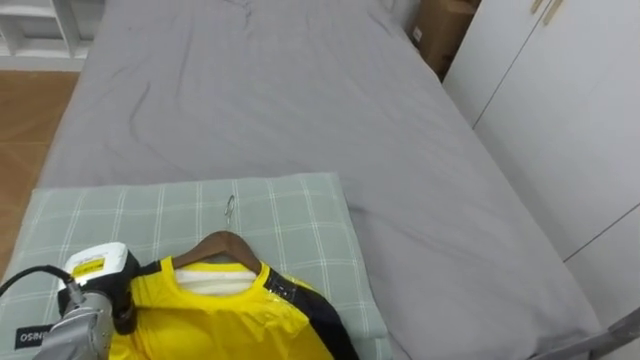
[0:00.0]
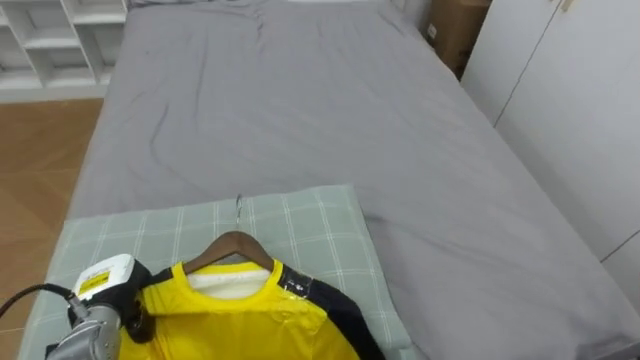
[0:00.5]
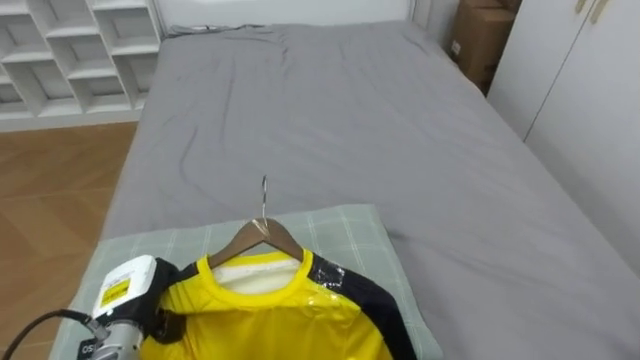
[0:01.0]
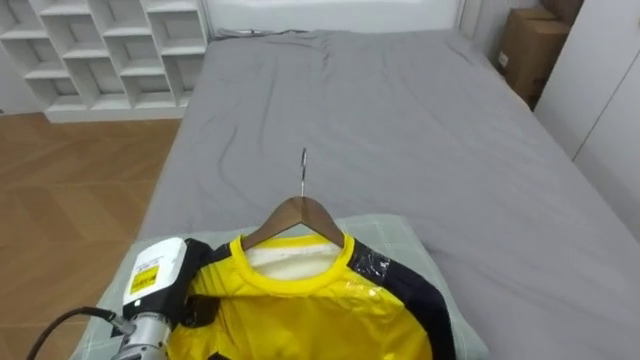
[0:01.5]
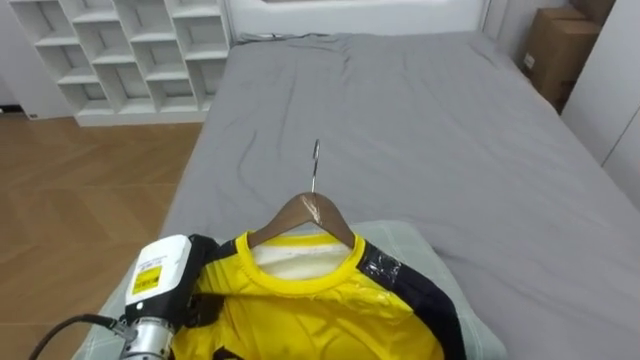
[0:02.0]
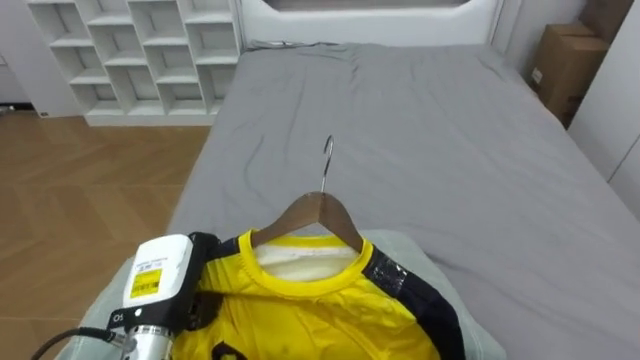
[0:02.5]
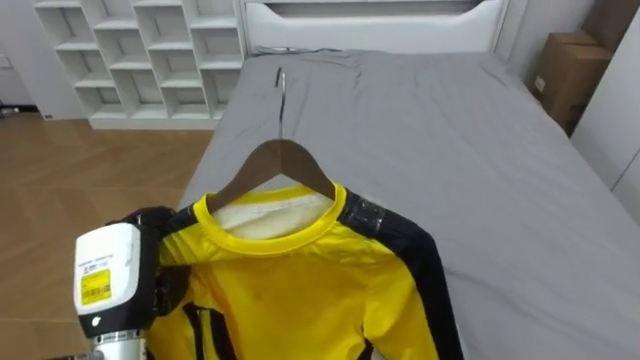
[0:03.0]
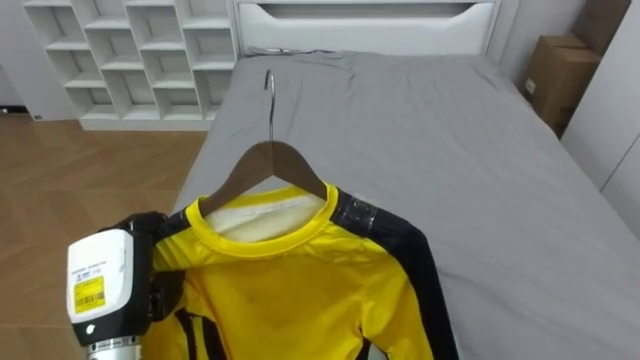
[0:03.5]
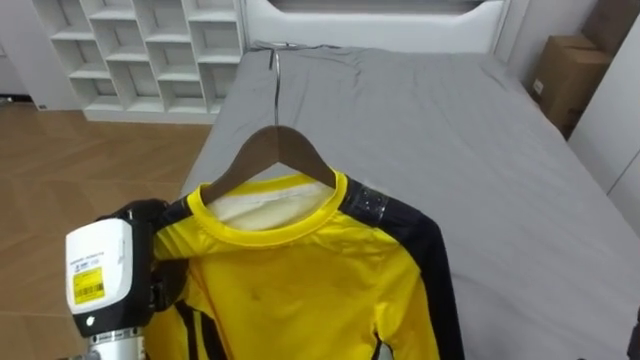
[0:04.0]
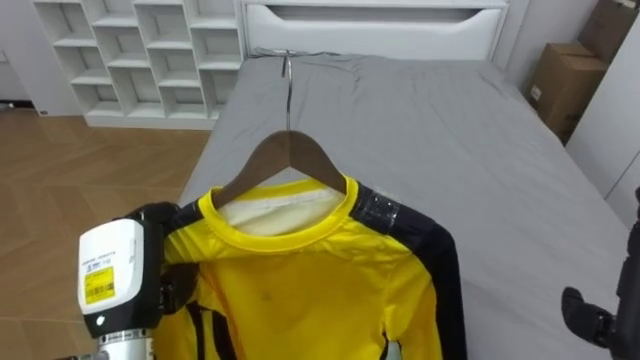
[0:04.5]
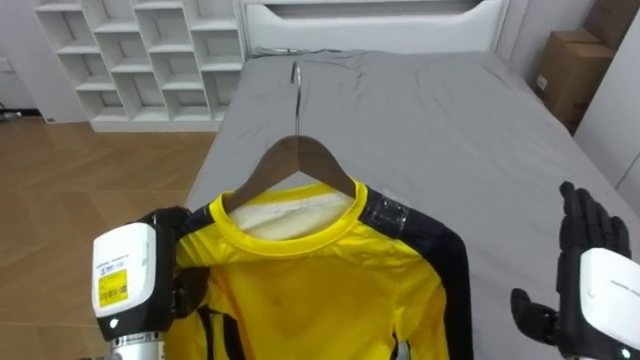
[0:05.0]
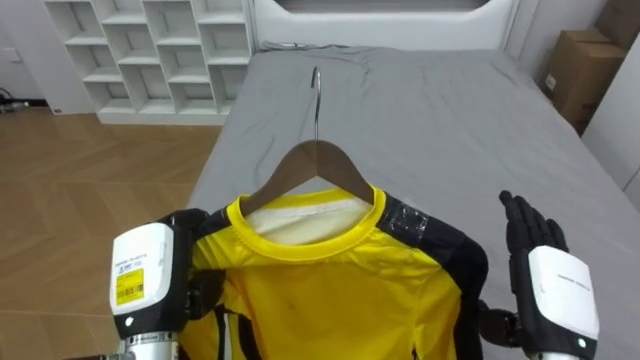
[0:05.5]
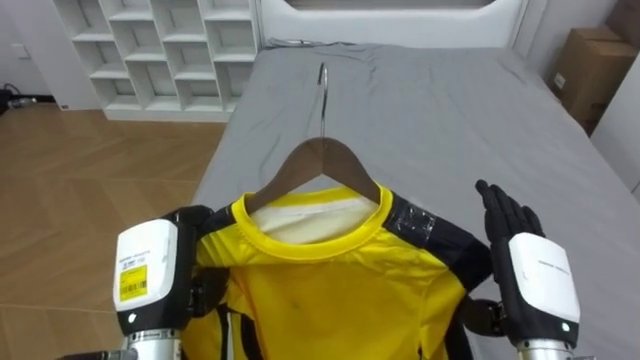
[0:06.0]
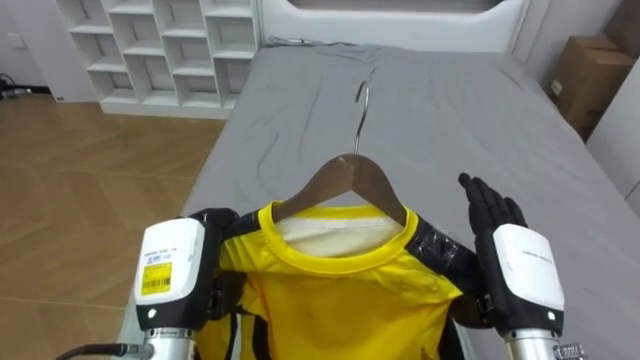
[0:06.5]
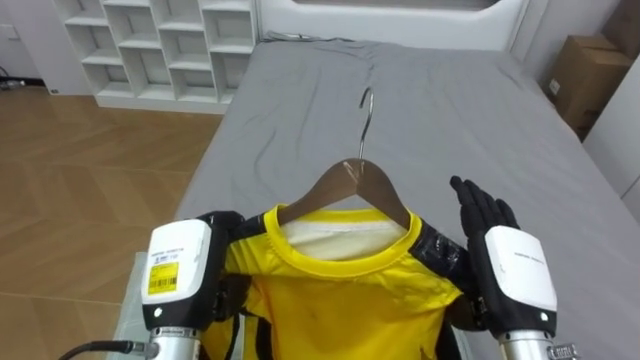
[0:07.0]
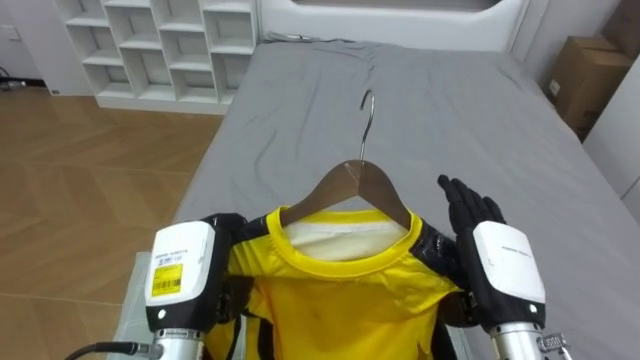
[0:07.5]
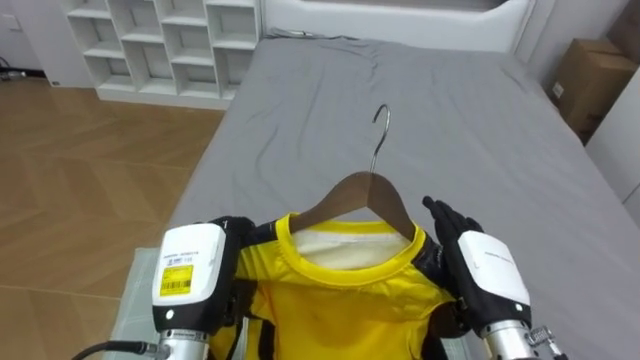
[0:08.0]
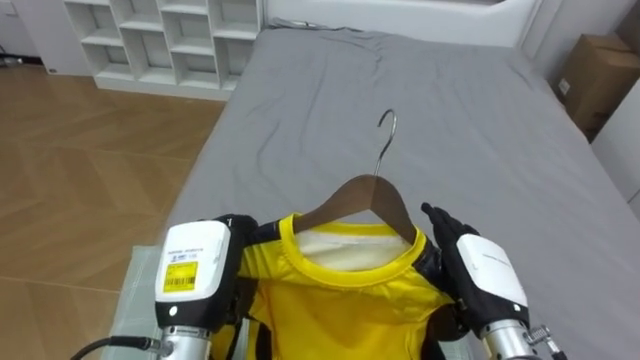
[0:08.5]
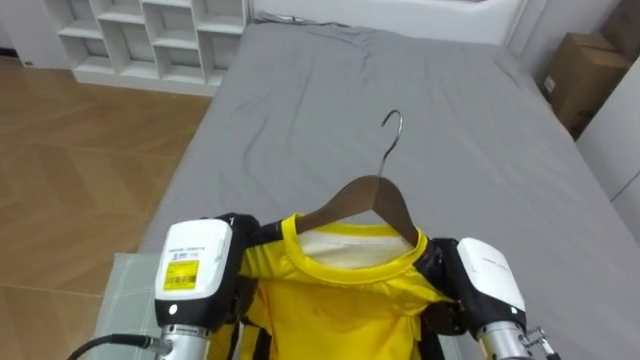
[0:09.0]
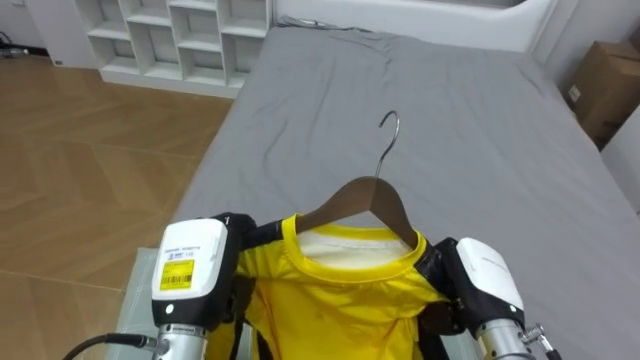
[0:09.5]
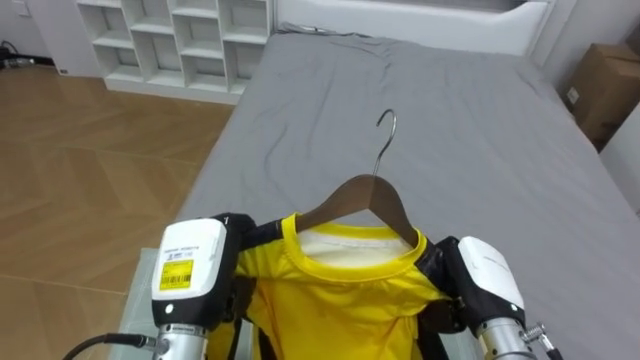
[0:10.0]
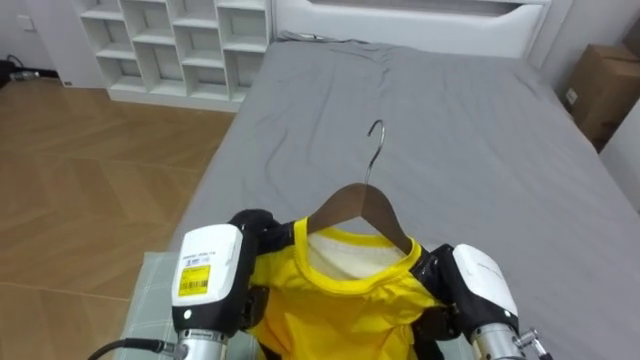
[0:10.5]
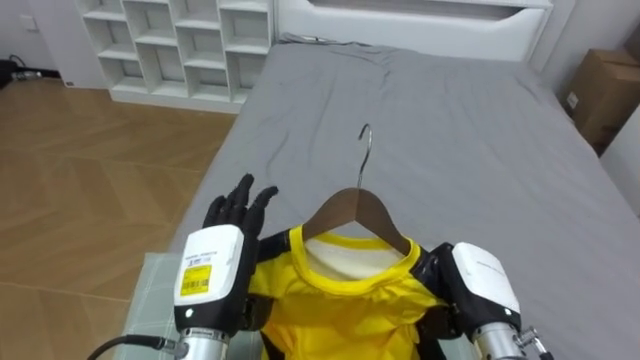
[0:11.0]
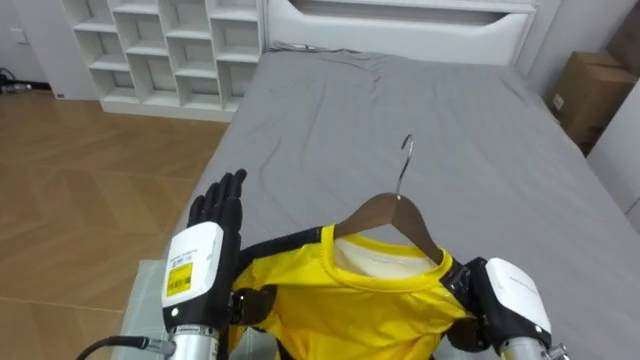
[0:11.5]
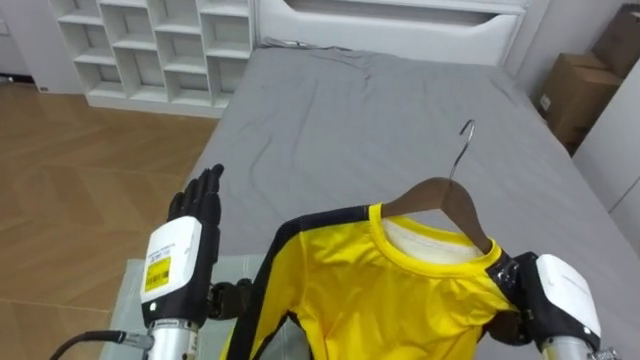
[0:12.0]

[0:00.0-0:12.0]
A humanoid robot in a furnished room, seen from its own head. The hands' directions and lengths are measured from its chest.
Task of the whole recording: Pick up the yellow shirt on the bed and hang it on the clothes rack on the right.
0:00.0 to 0:02.0: The left hand shifts about 10 cm to the right.
0:02.0 to 0:04.0: The left hand goes about 10 cm upward.
0:06.0 to 0:08.0: The right hand changes place by about 5 cm.
0:08.0 to 0:10.0: The right hand closes its fingers.
0:10.0 to 0:12.0: The left hand opens its fingers. The right hand is displaced to the right by roughly 10 cm.

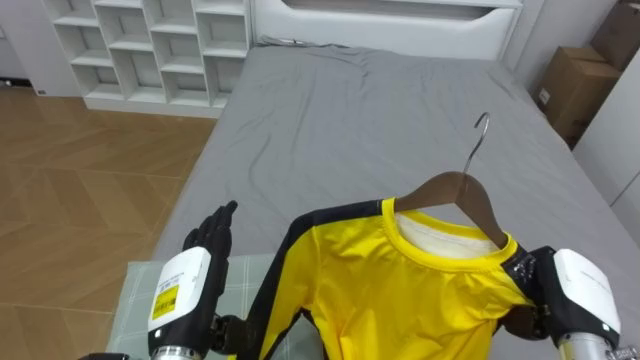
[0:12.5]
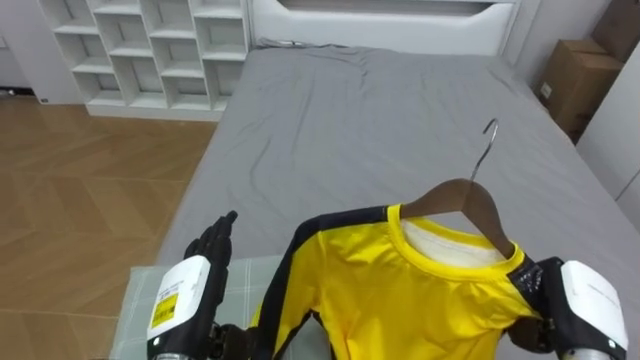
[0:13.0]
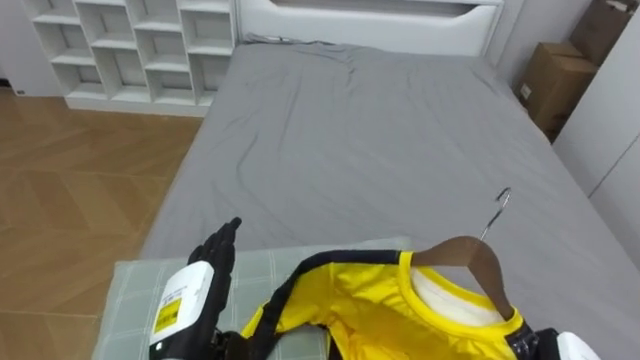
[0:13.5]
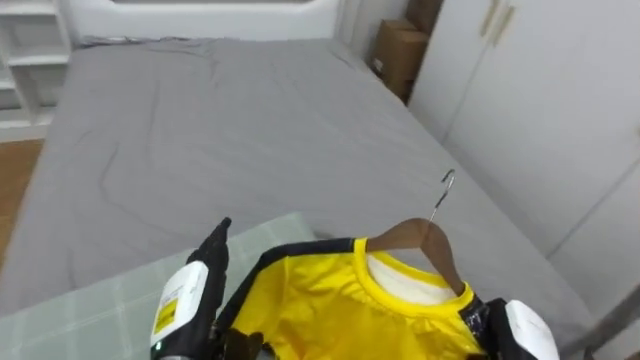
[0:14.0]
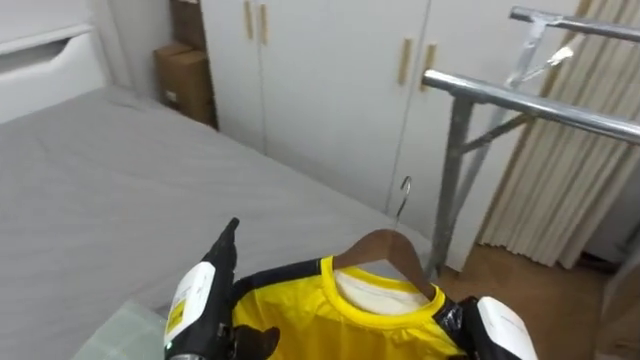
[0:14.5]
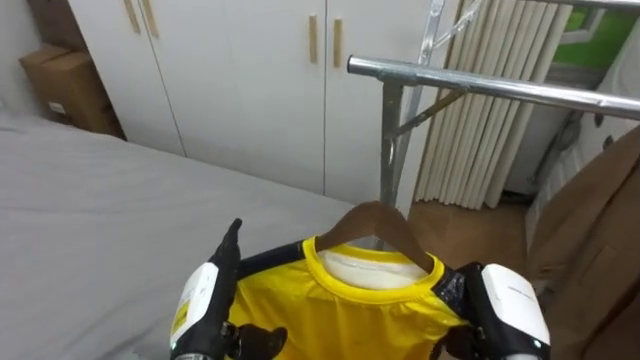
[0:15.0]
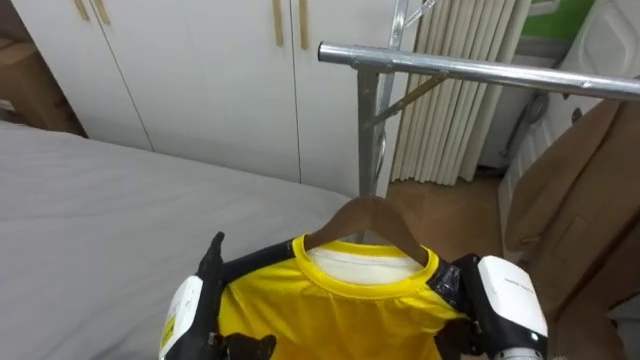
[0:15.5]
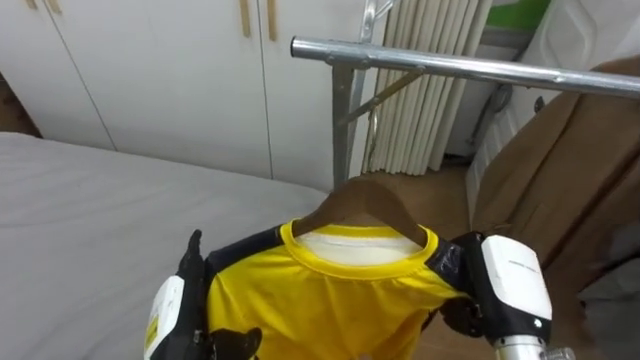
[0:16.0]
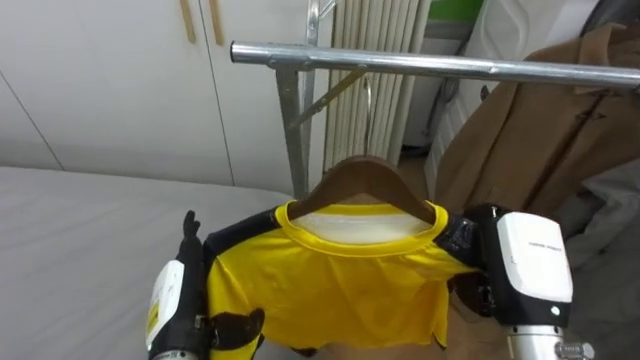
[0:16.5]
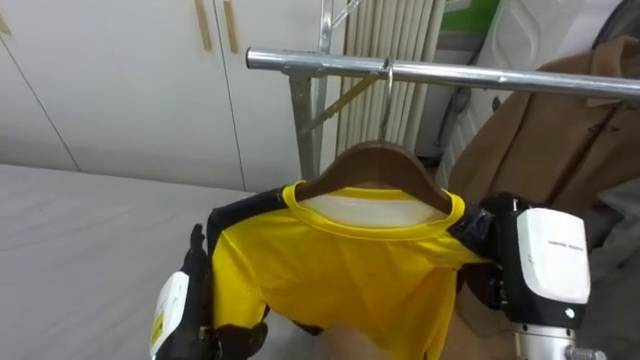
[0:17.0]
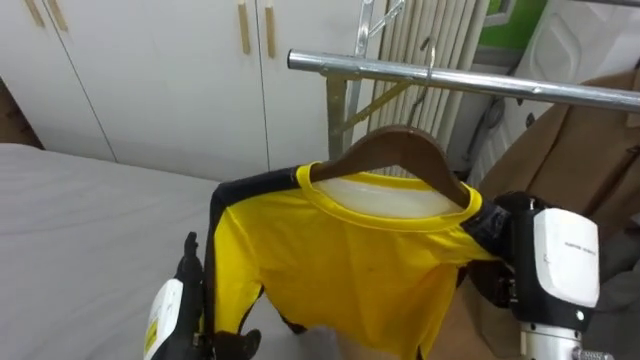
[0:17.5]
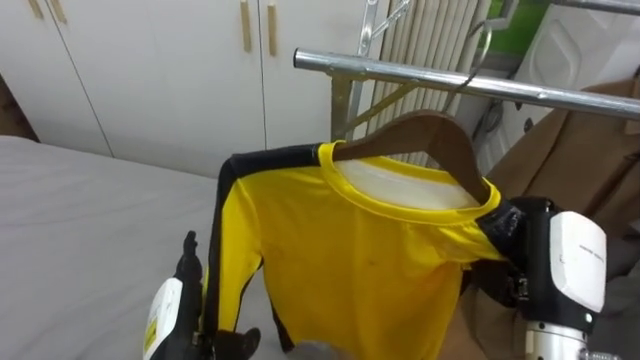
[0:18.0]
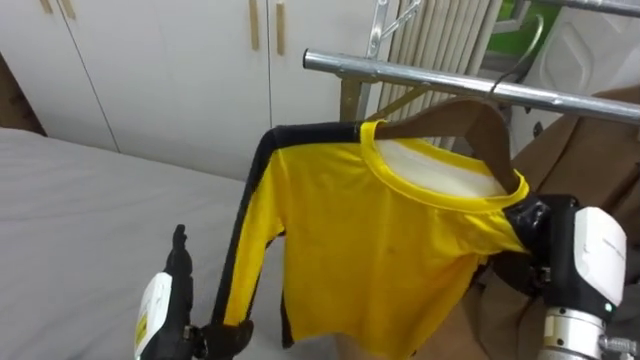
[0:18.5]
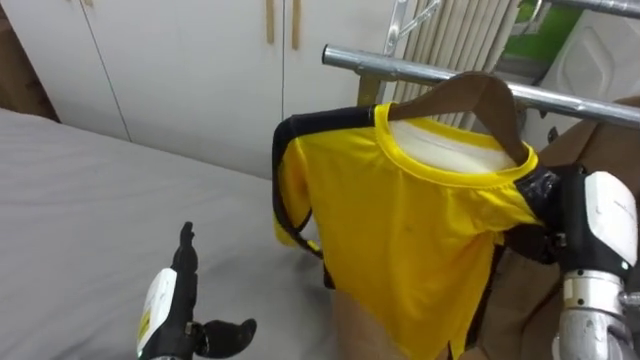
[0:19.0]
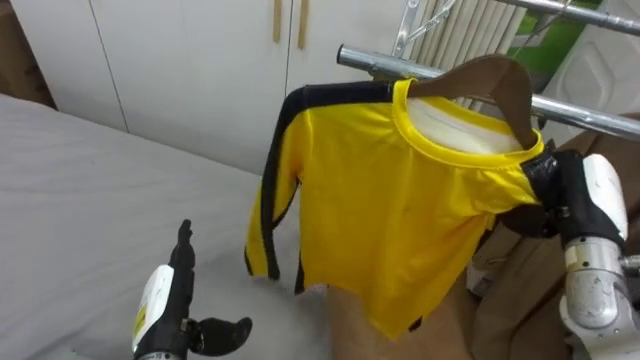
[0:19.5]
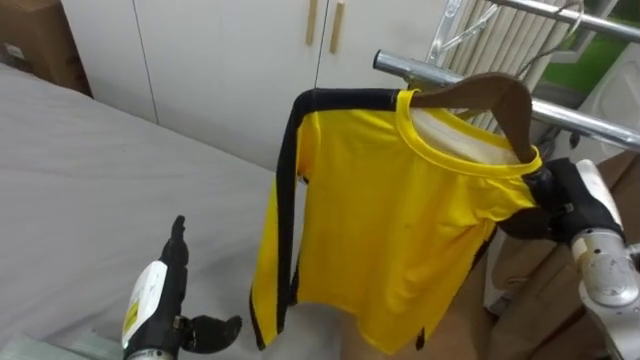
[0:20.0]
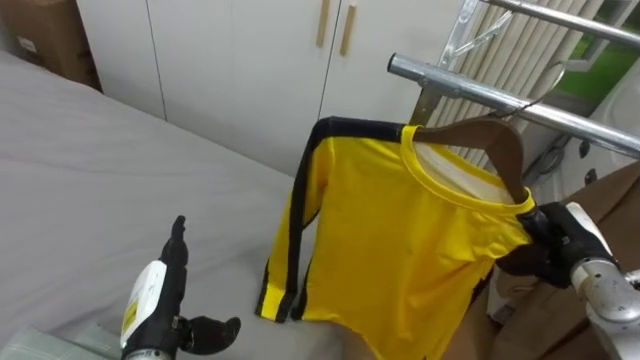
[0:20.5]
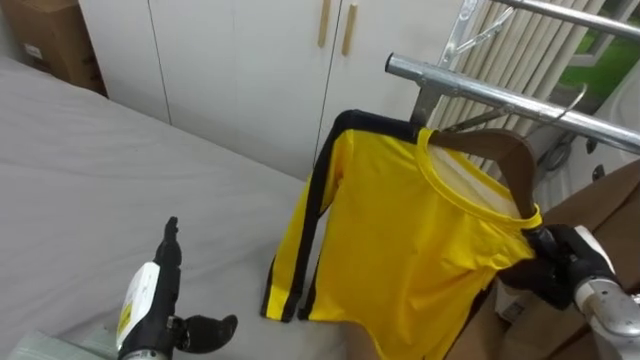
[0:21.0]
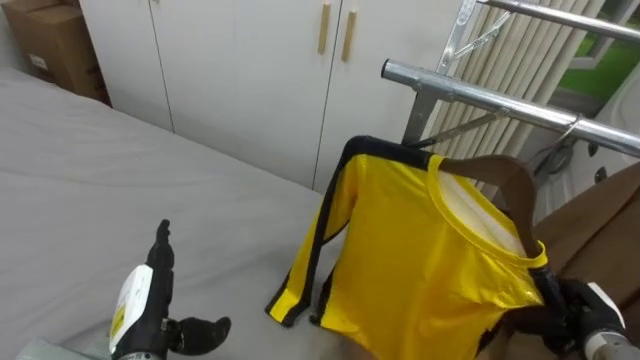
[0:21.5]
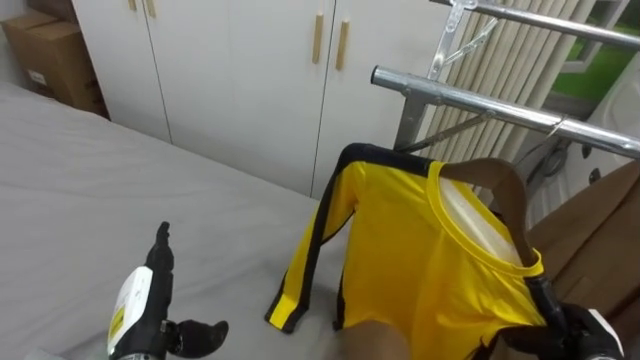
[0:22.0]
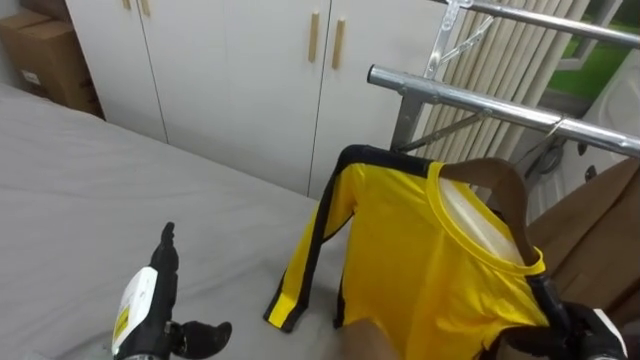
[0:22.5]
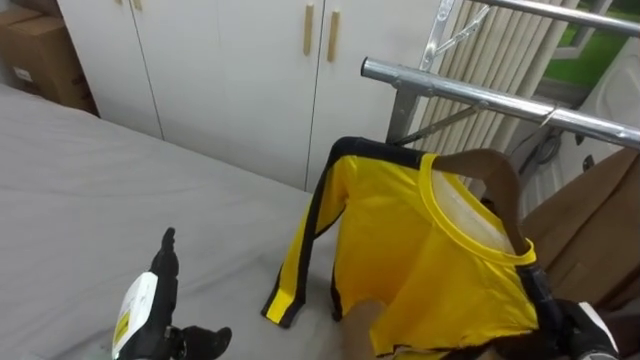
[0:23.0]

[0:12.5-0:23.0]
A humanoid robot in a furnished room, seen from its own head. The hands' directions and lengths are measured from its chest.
Task of the whole recording: Pick up the yellow shirt on the bed and hang it on the clothes rack on the right.
0:12.5 to 0:14.5: The robot faces some 60 degrees further to its right.
0:14.5 to 0:16.5: The robot rotates approximately 30 degrees to its right. The right hand goes approximately 15 cm upward.
0:16.5 to 0:19.0: The right hand shifts roughly 10 cm to the right.
0:19.0 to 0:21.0: The right hand shifts some 10 cm downward.
0:21.0 to 0:23.0: The right hand is displaced downward and backward by roughly 10 cm, and opens up.
